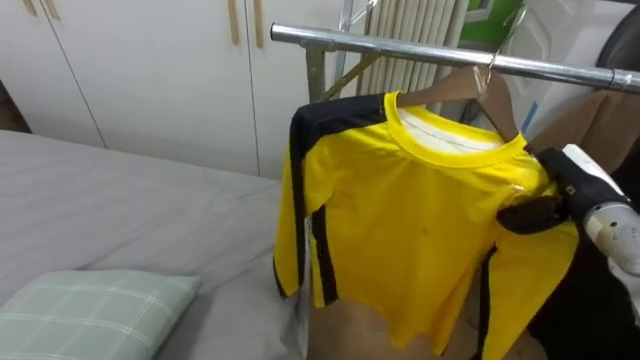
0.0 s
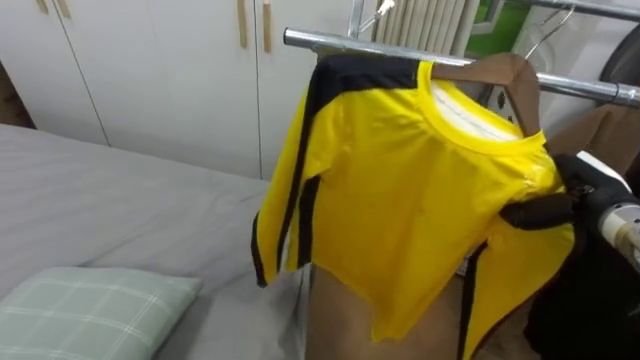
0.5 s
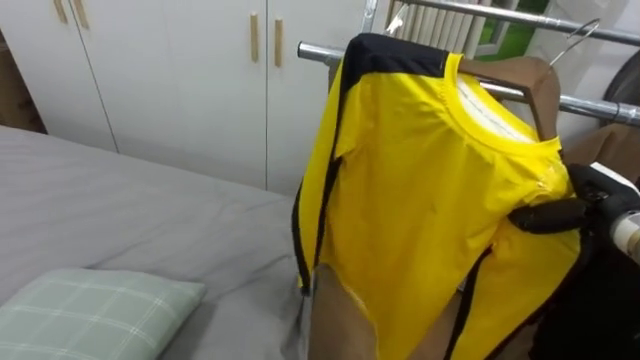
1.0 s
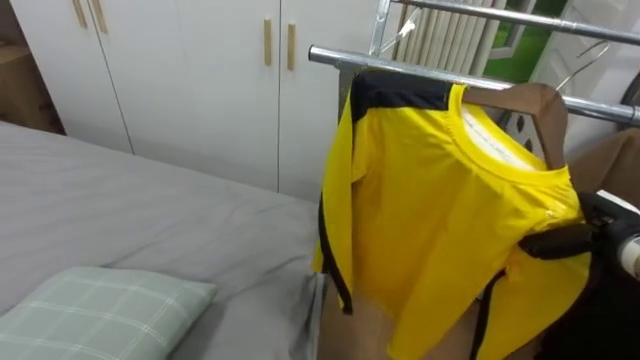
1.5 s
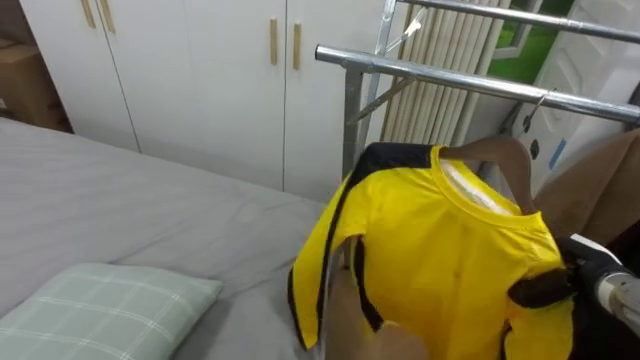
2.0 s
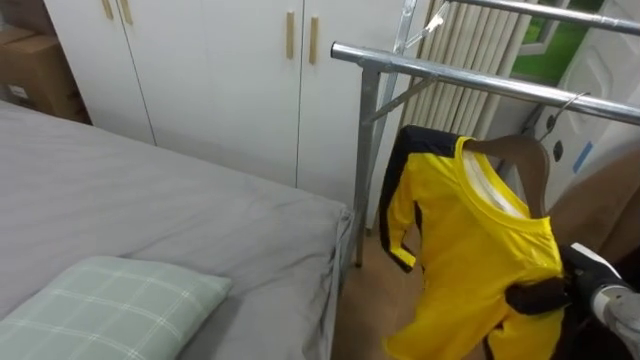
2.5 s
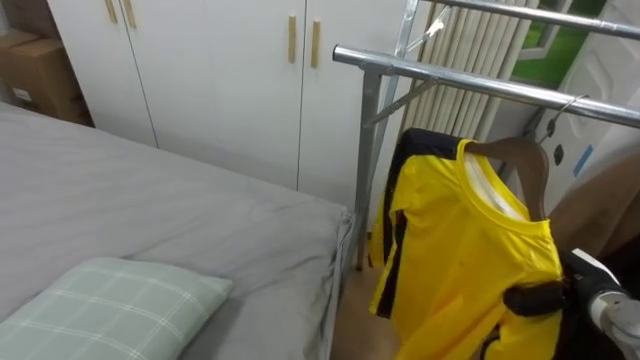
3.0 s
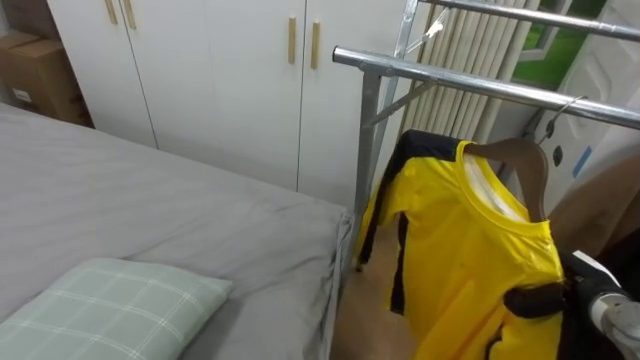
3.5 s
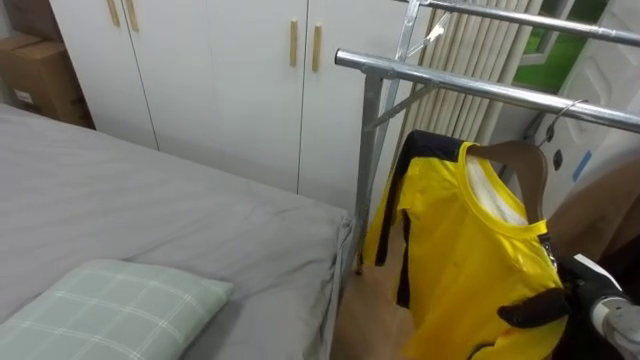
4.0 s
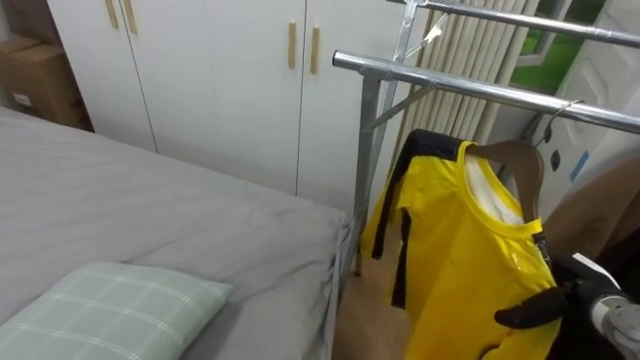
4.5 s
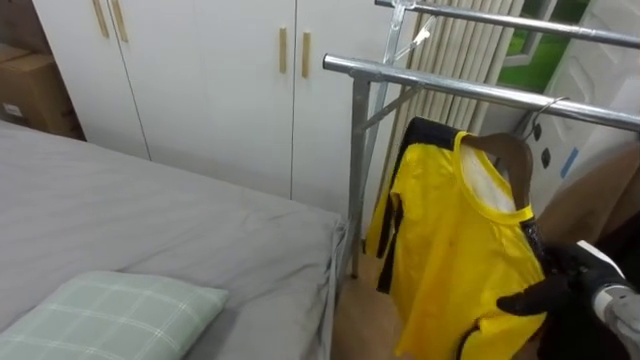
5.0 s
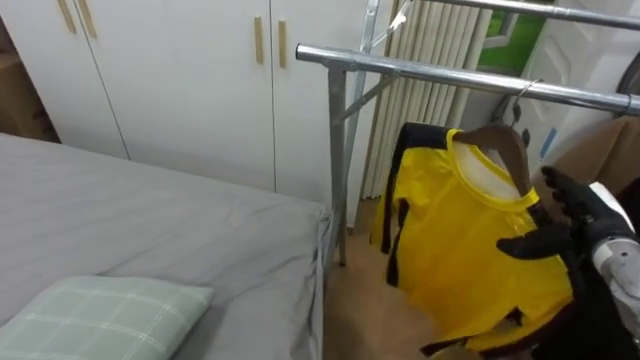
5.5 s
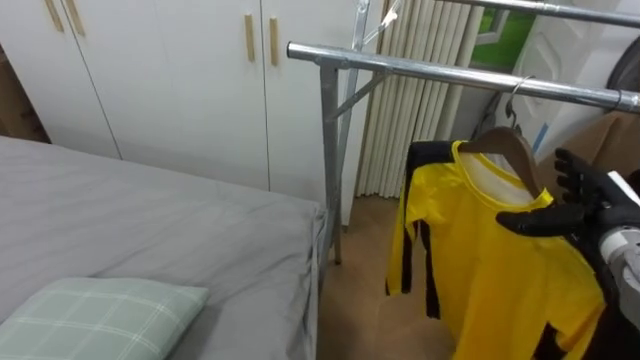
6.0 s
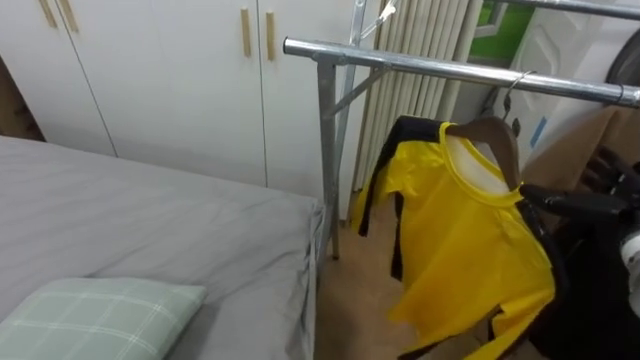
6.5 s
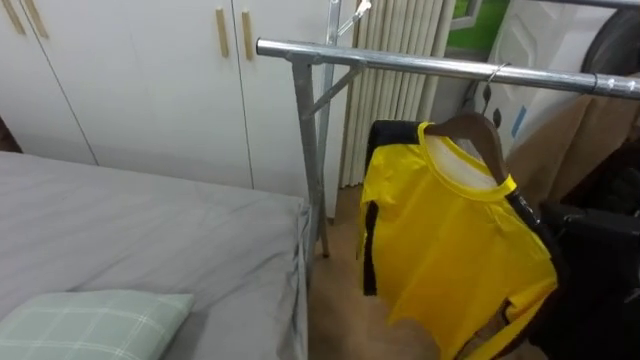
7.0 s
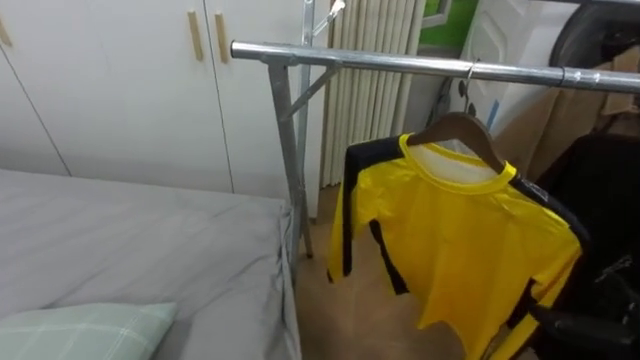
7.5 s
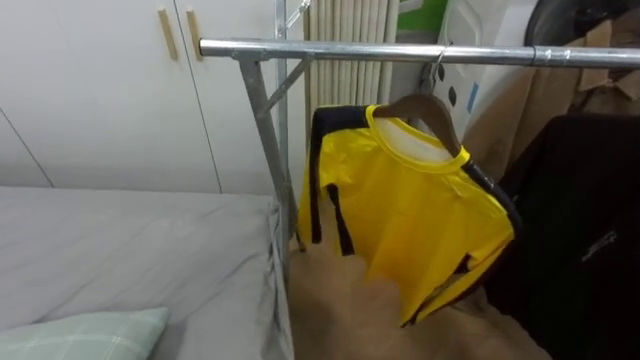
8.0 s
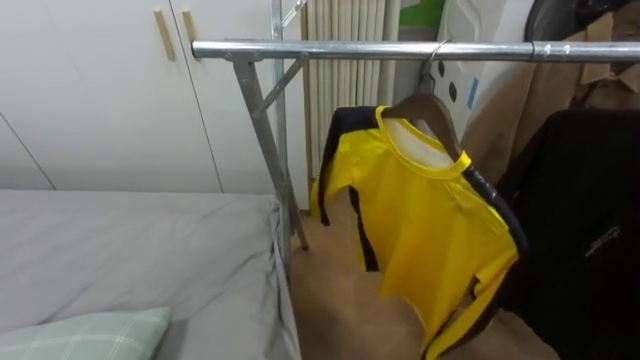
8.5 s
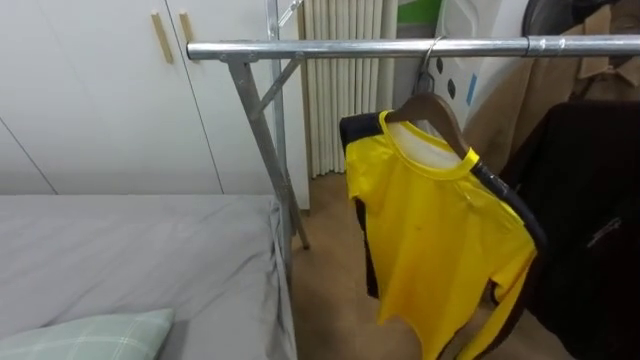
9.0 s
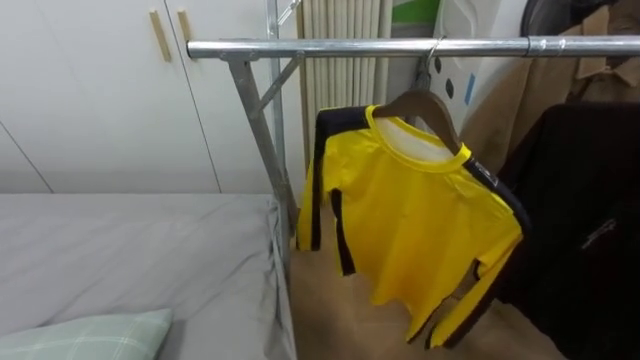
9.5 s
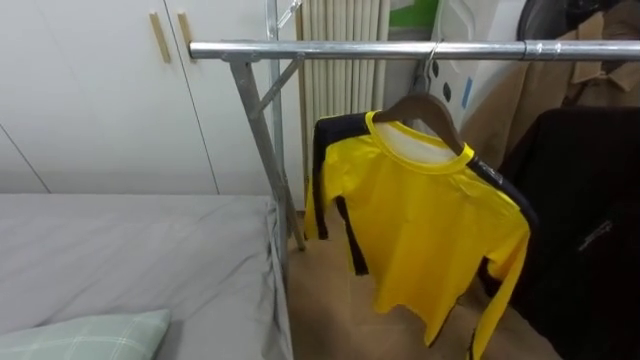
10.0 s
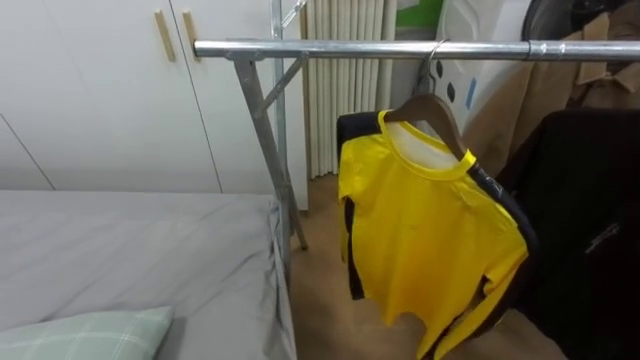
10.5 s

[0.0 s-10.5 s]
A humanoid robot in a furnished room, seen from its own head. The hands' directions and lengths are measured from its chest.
Task of the whole recording: Pick up the yellow shirt on the bed and hang it on the clothes rack on the right.
0.0 to 2.0 s: The right hand goes some 10 cm downward.
2.0 to 4.0 s: The right hand opens its fingers.
4.0 to 6.5 s: The right hand travels upward by roughly 10 cm, and opens its fingers.

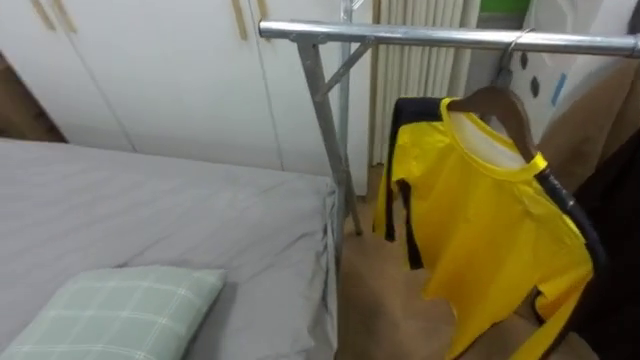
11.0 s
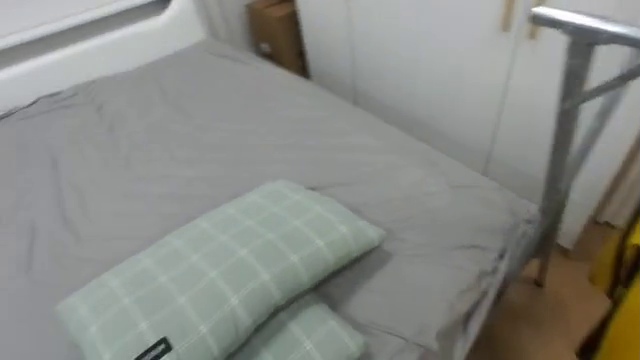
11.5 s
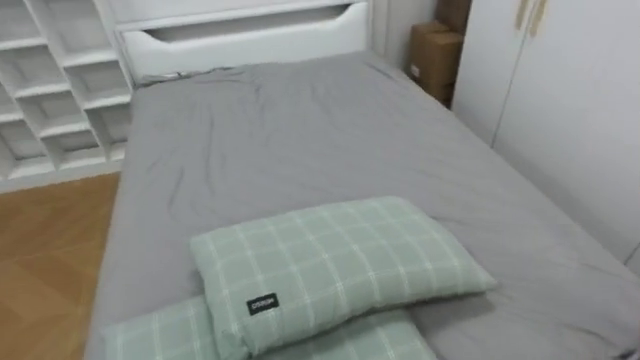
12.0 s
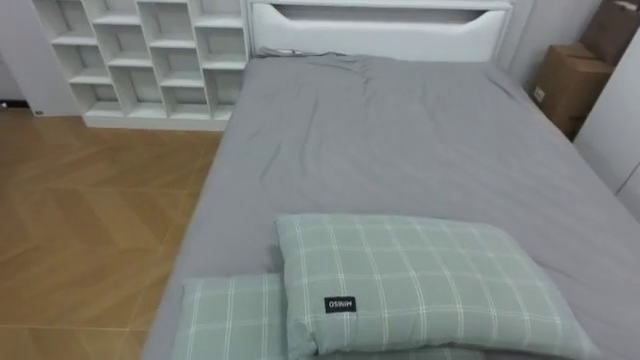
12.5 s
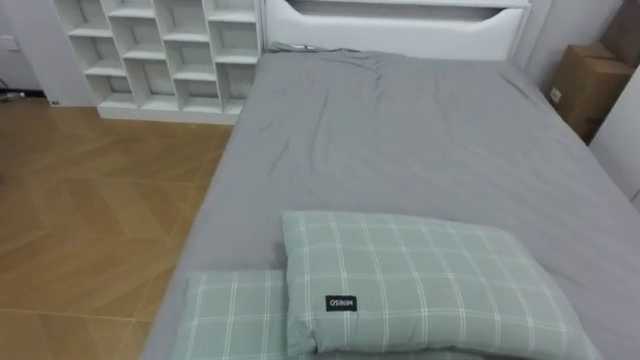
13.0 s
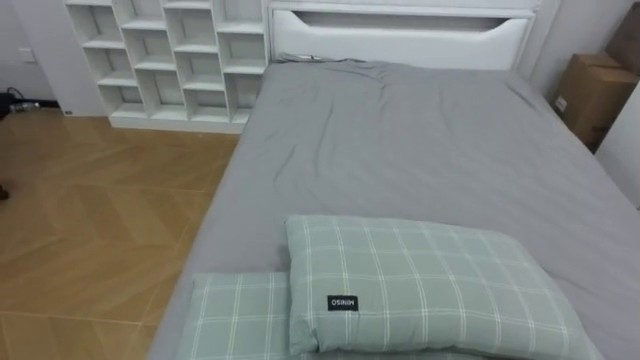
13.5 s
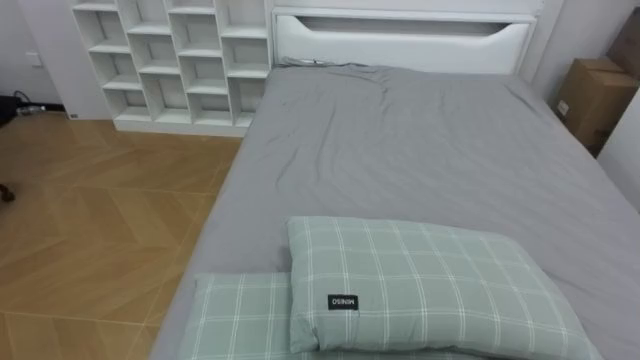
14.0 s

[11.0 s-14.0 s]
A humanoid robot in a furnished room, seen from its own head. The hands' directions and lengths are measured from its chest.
Task of the whole recording: Pick up the yellow shirt on the bed and hang it on the clothes rack on the right.
11.0 to 12.5 s: The robot turns to its left by some 80 degrees.

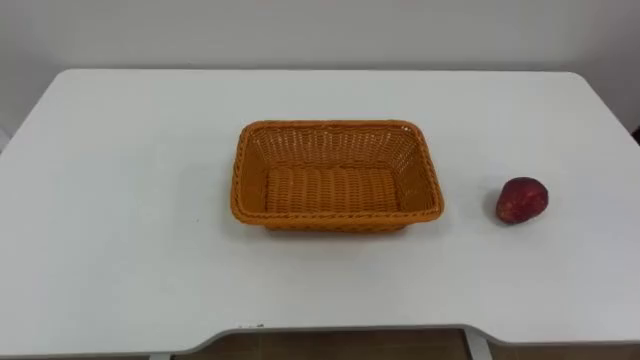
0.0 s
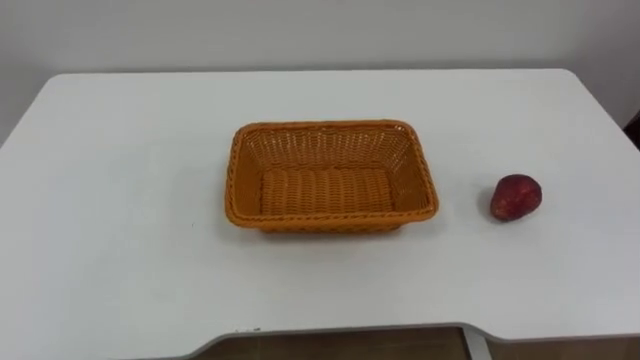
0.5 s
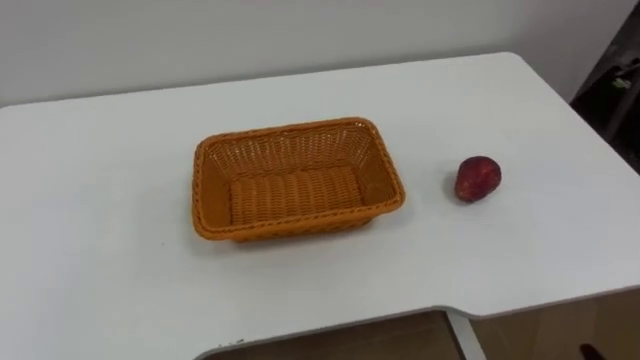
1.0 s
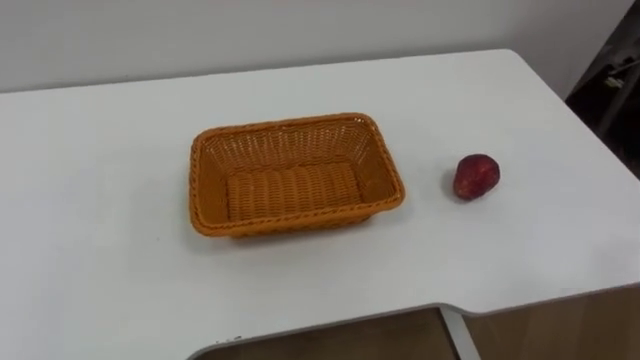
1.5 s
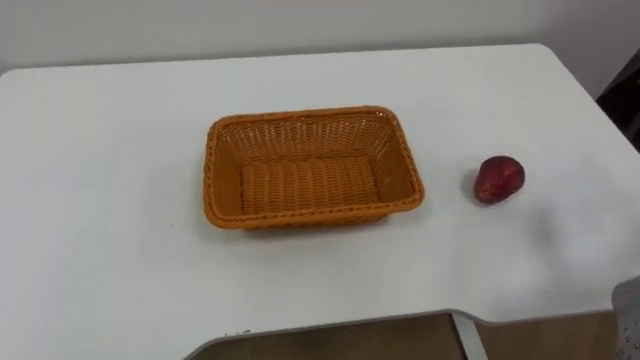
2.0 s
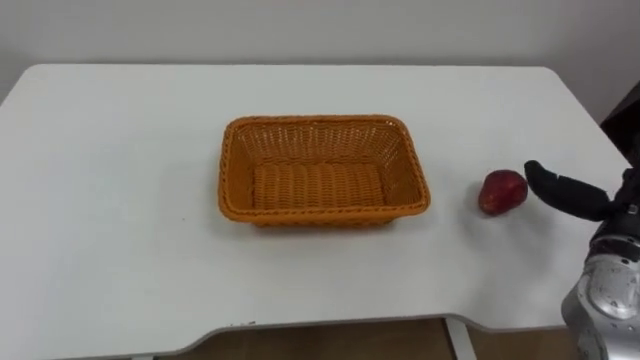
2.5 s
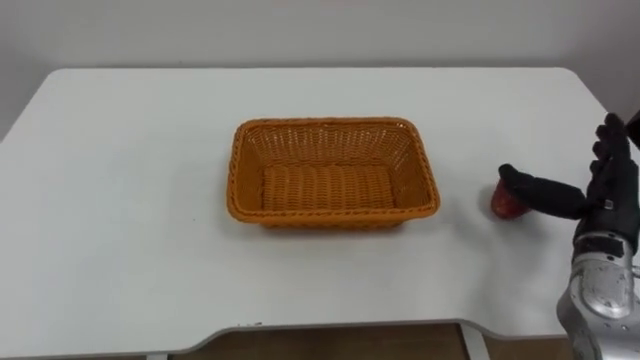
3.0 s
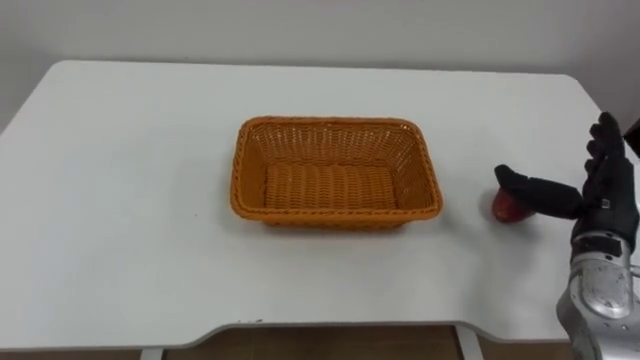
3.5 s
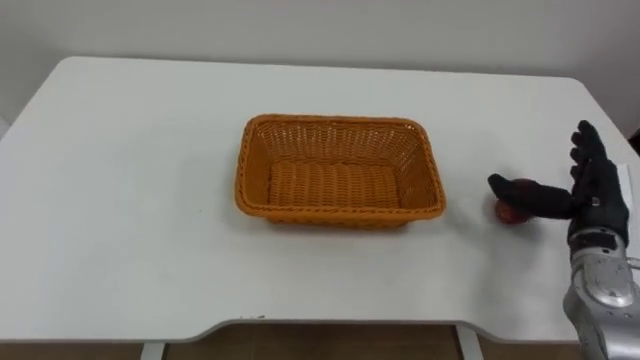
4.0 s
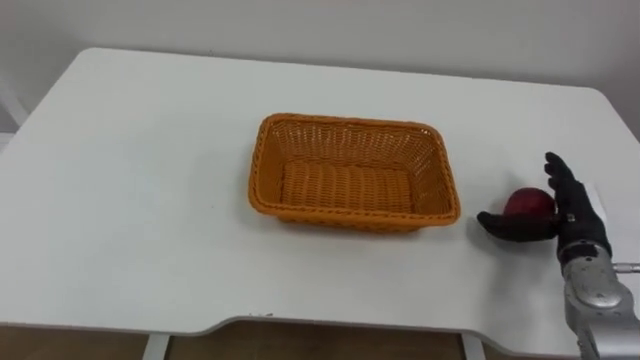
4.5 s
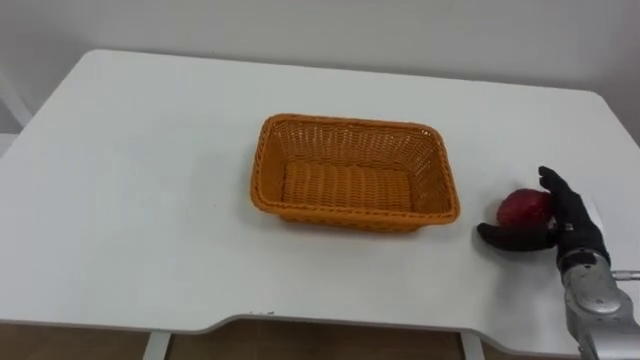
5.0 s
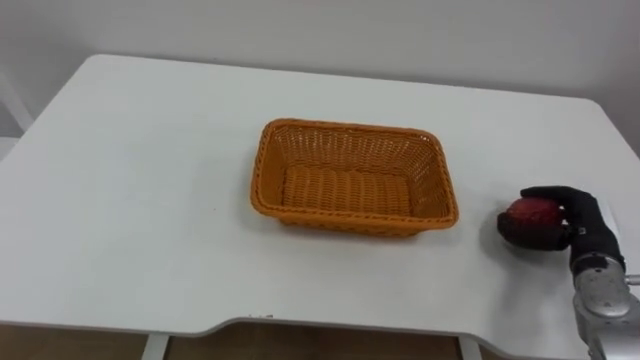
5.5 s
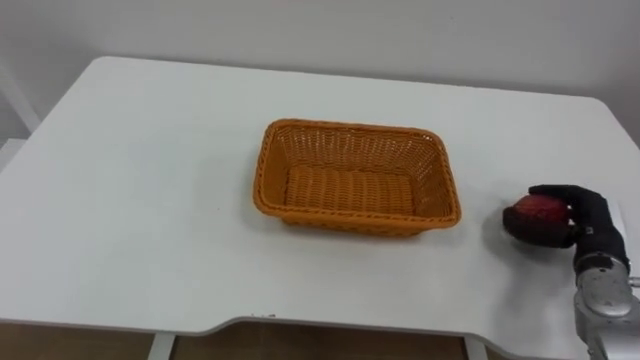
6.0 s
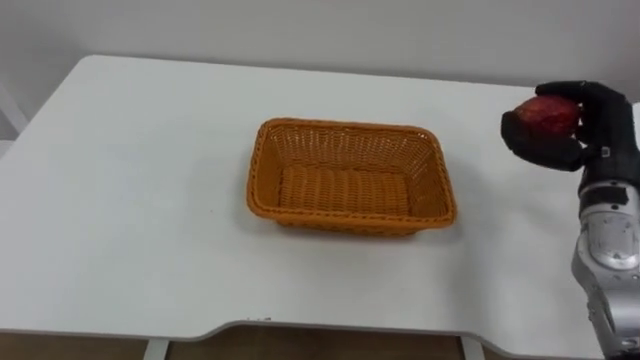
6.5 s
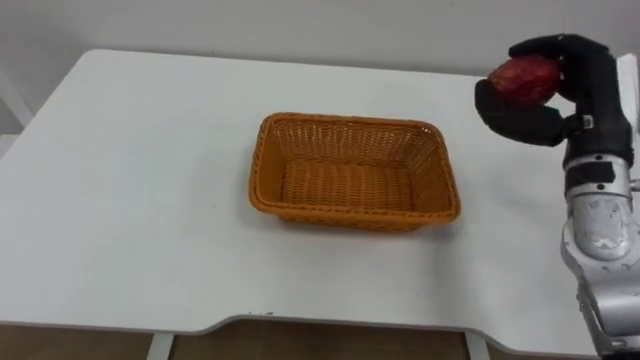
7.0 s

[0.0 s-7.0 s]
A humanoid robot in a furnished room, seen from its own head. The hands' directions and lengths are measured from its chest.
Task of the whole recording: Pick the apple and place it in the box.
3.5 to 5.0 s: The right hand shifts roughly 10 cm downward.
5.0 to 7.0 s: The right hand goes roughly 20 cm upward, and closes its fingers.
